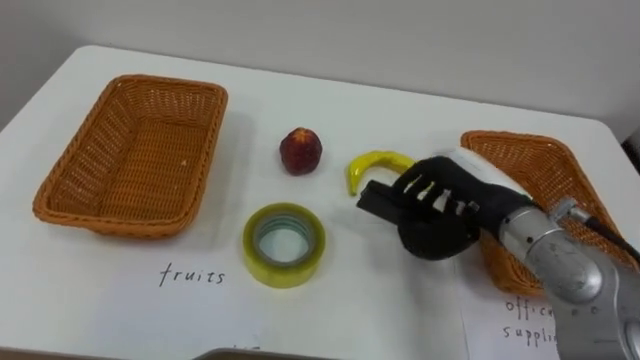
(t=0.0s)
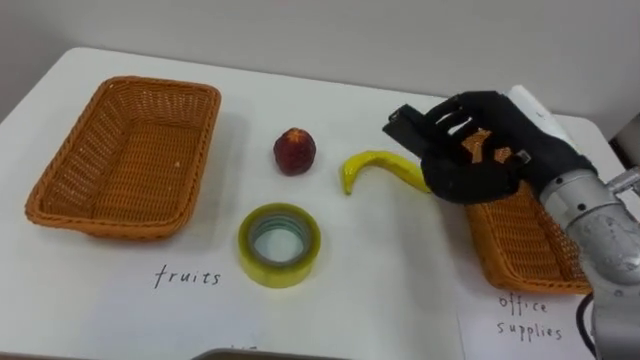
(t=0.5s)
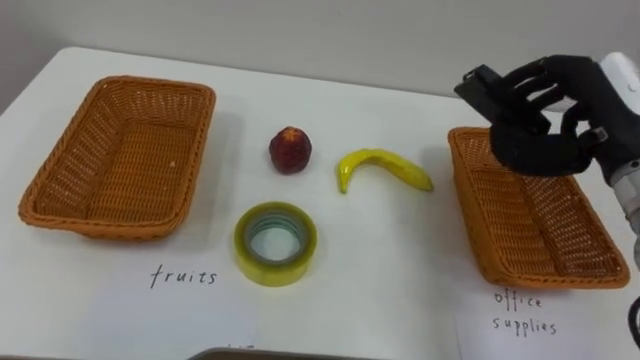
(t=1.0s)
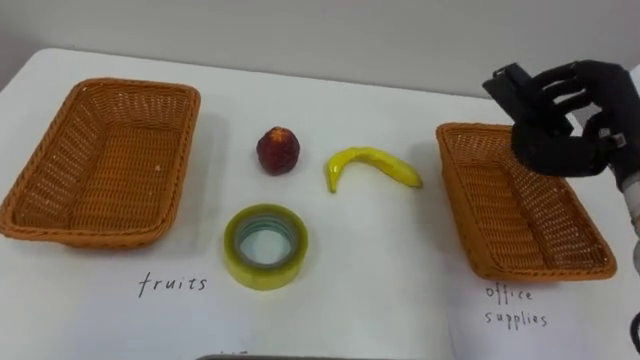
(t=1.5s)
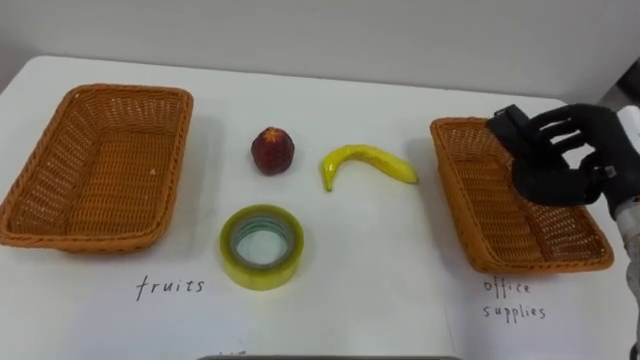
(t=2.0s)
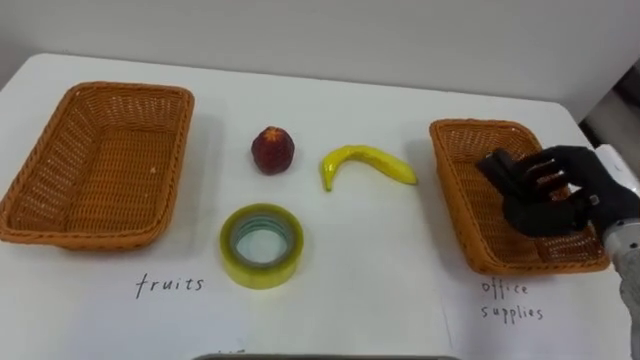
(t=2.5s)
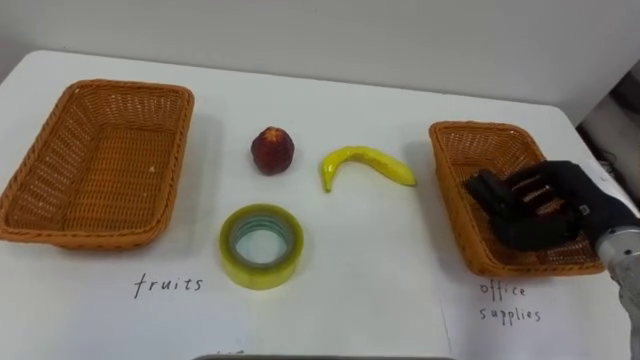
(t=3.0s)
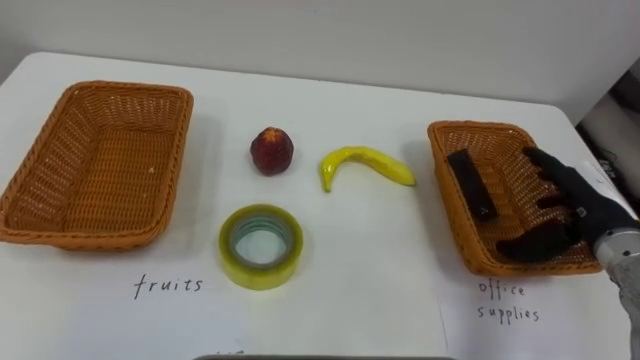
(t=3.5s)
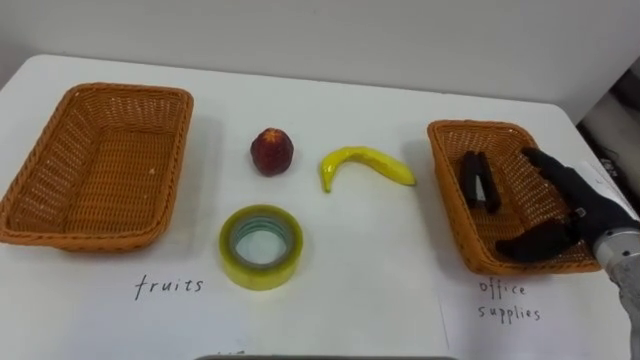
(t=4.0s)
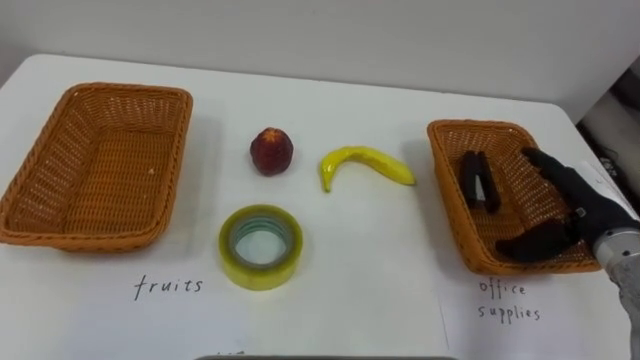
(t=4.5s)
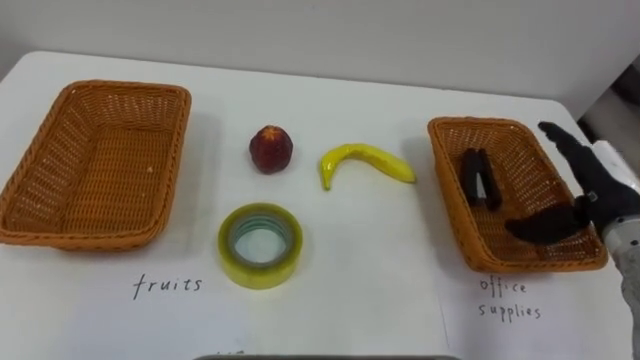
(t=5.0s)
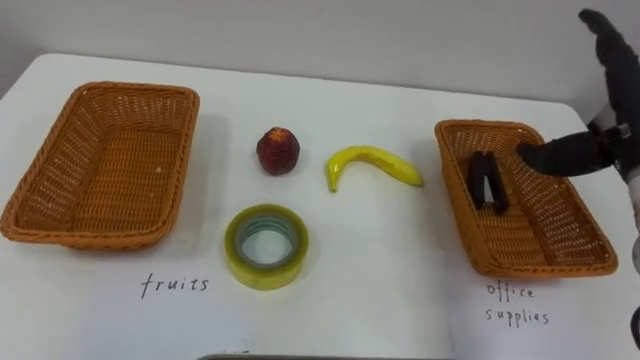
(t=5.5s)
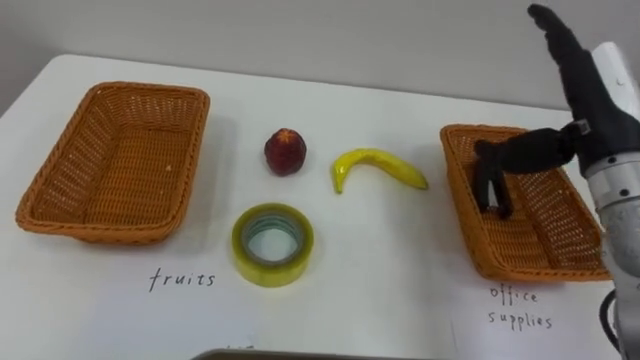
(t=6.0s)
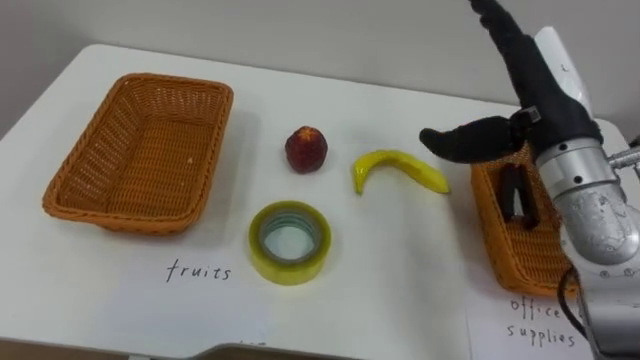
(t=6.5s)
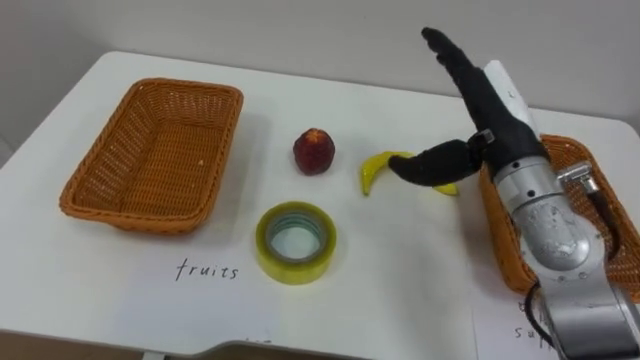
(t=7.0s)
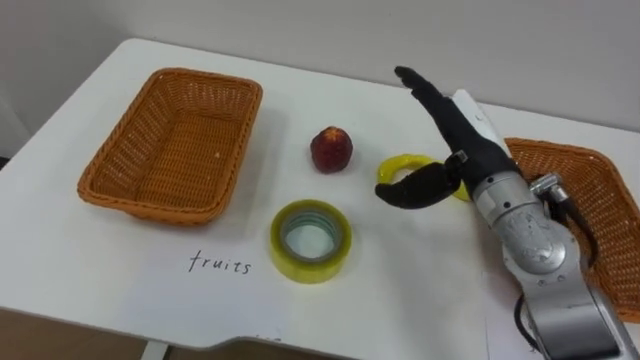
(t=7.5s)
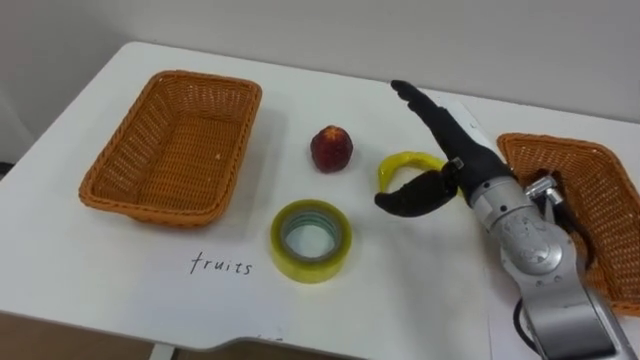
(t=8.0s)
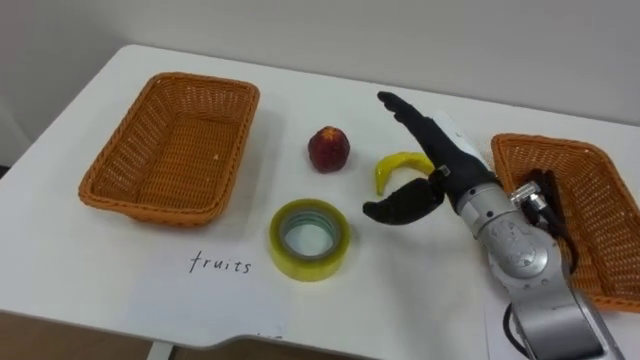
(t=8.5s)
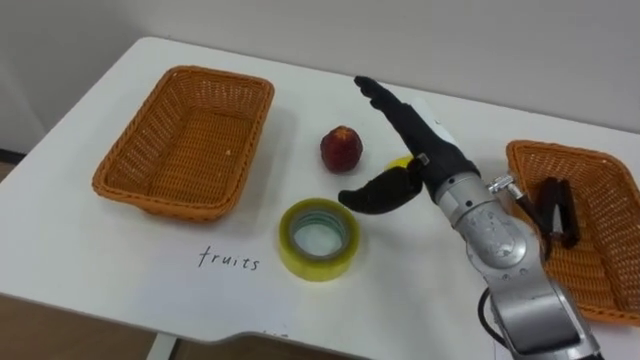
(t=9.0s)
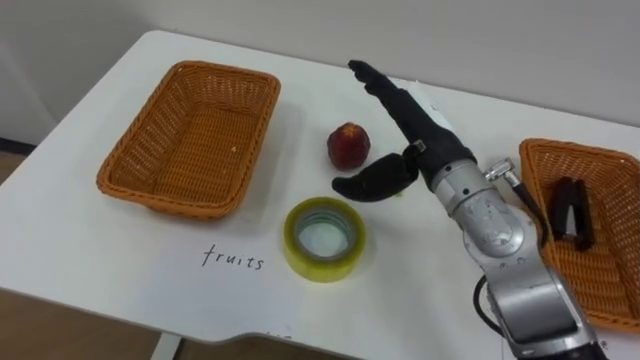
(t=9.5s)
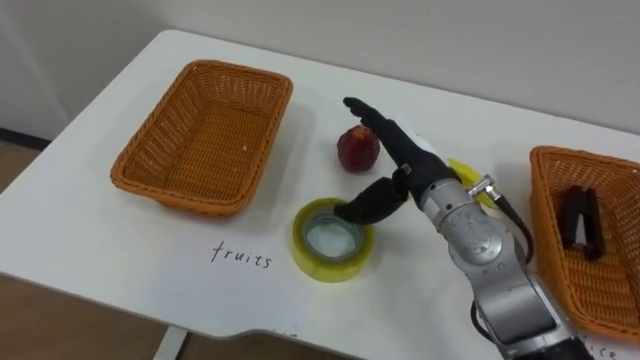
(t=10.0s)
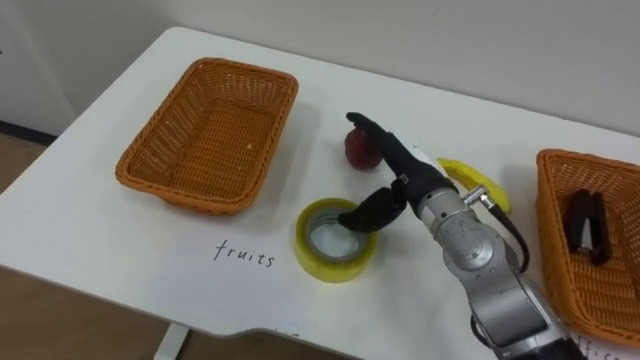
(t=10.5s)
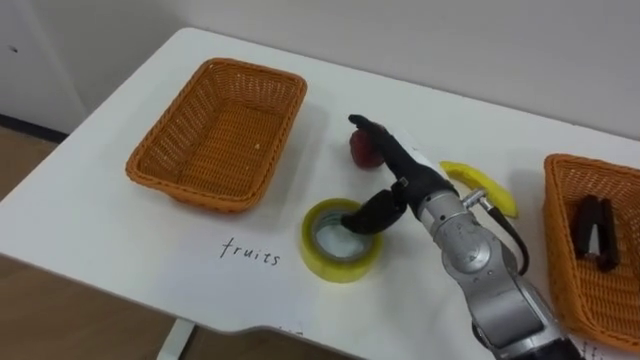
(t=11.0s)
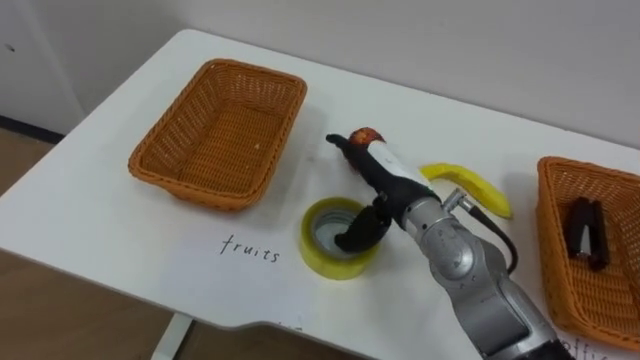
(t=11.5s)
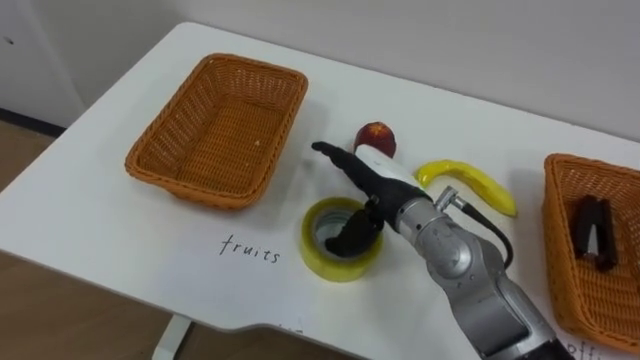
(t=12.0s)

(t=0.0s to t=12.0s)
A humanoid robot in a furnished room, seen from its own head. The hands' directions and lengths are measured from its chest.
Task of the whole recording: Separate the items on the table and place them into the two baskets.
t=0.0s - t=2.0s: The right hand shifts some 15 cm to the right.
t=2.0s - t=4.0s: The right hand moves downward, some 5 cm, and opens its fingers.
t=4.0s - t=6.0s: The right hand moves upward, about 15 cm.
t=6.0s - t=8.0s: The right hand travels to the left and downward by about 10 cm.
t=8.0s - t=10.0s: The right hand goes approximately 5 cm to the left.

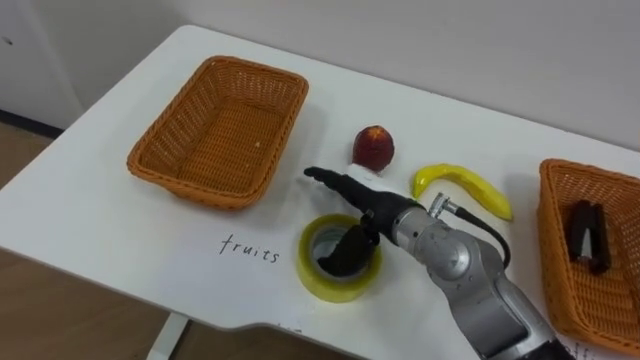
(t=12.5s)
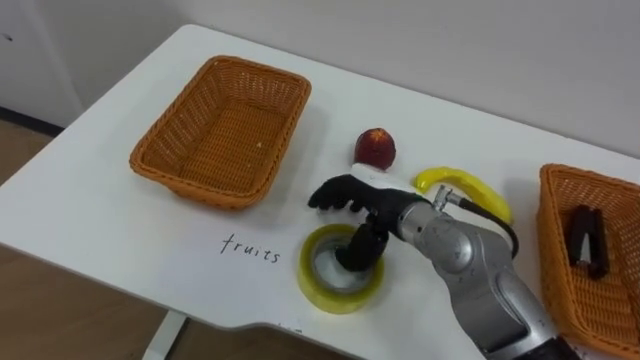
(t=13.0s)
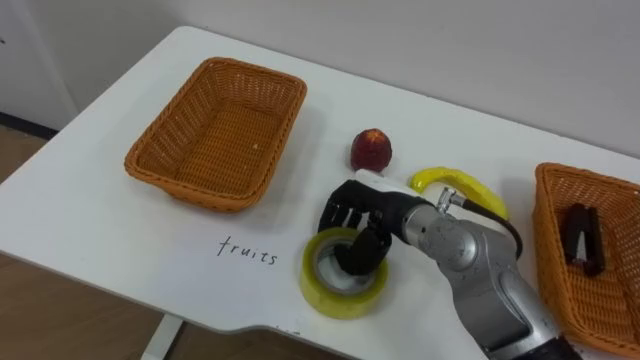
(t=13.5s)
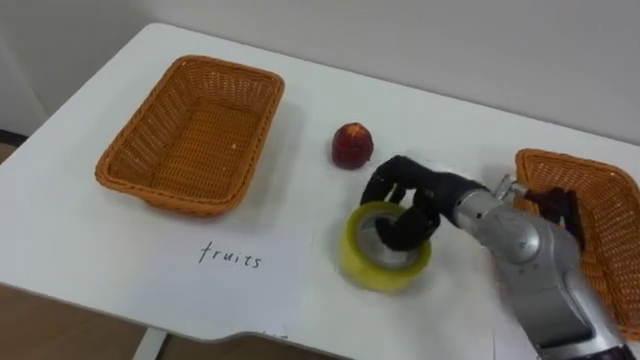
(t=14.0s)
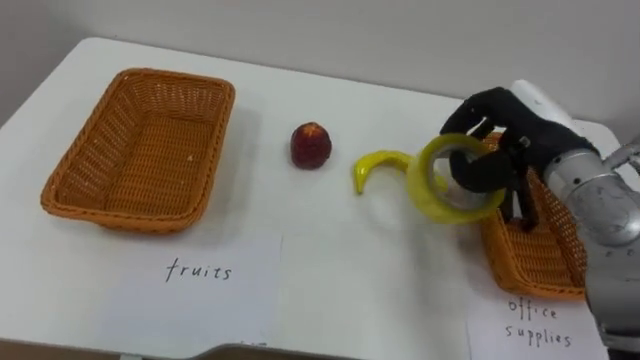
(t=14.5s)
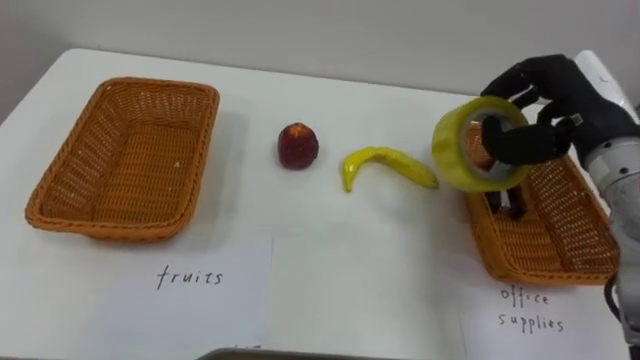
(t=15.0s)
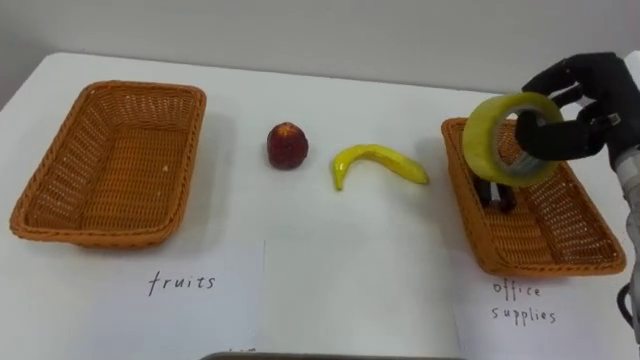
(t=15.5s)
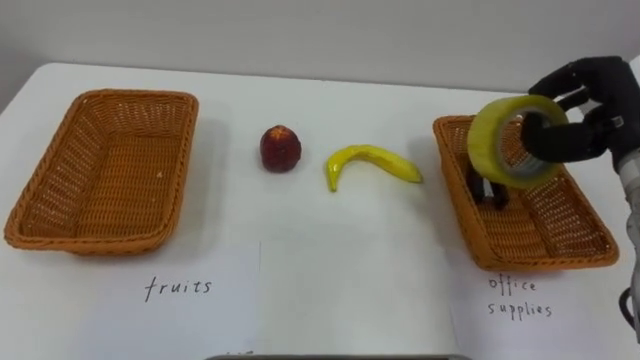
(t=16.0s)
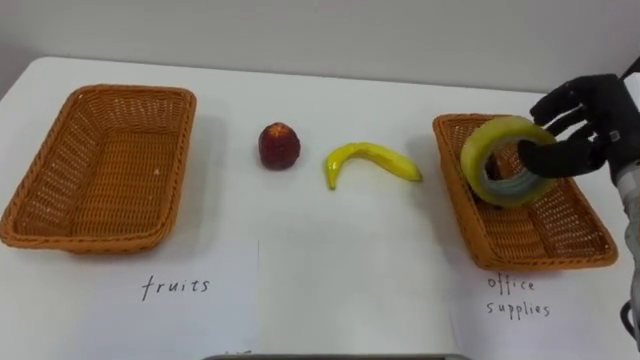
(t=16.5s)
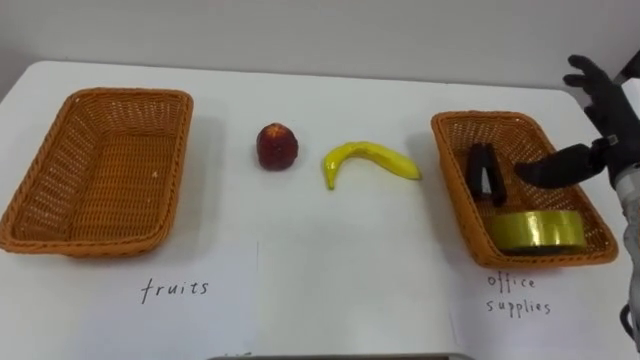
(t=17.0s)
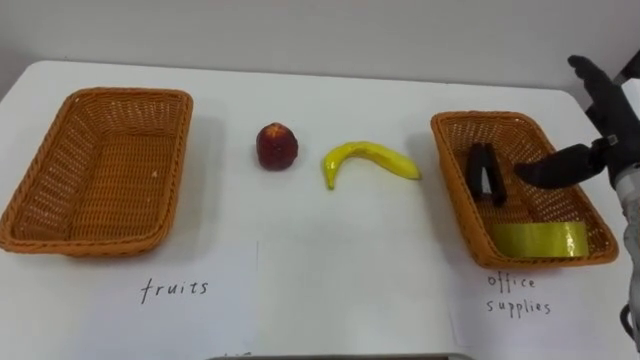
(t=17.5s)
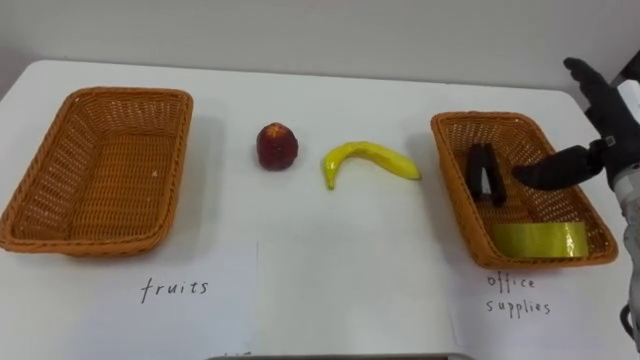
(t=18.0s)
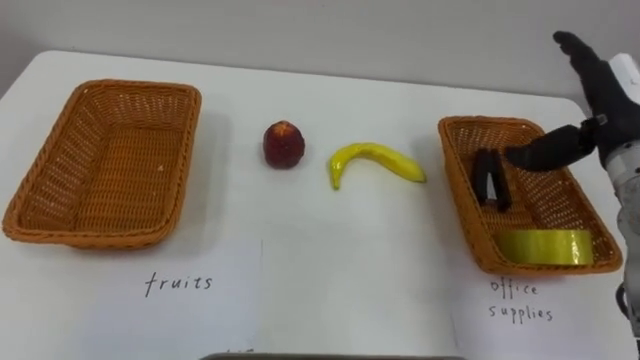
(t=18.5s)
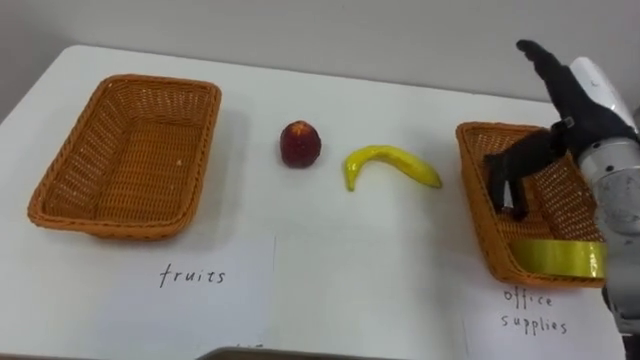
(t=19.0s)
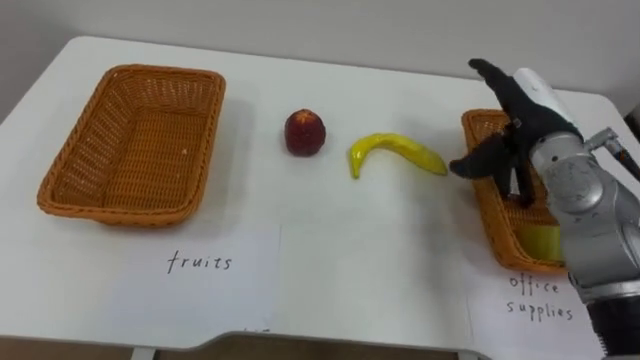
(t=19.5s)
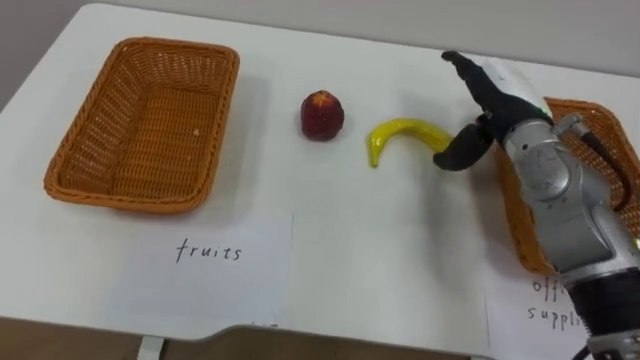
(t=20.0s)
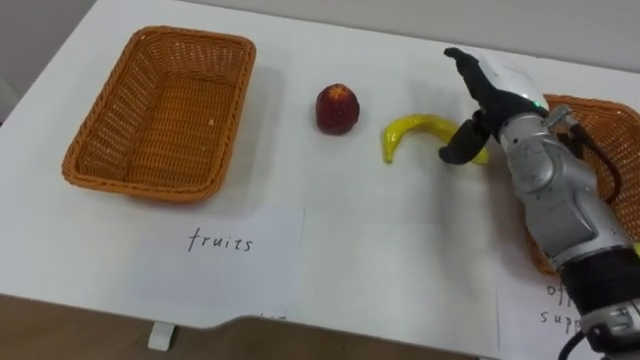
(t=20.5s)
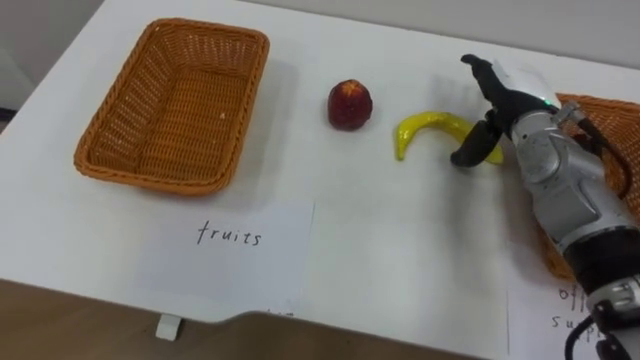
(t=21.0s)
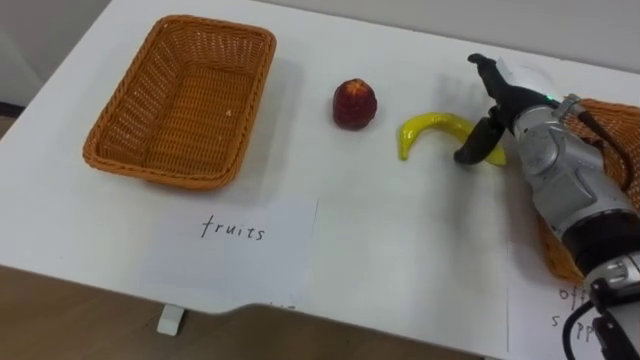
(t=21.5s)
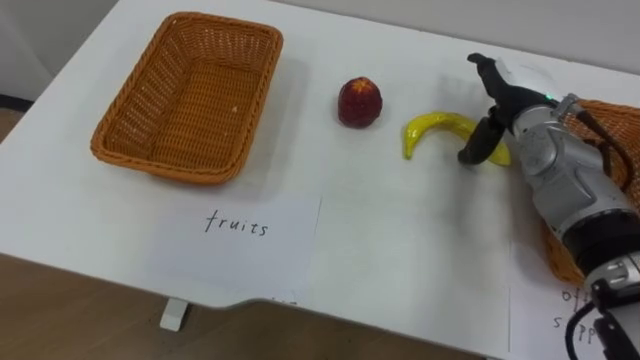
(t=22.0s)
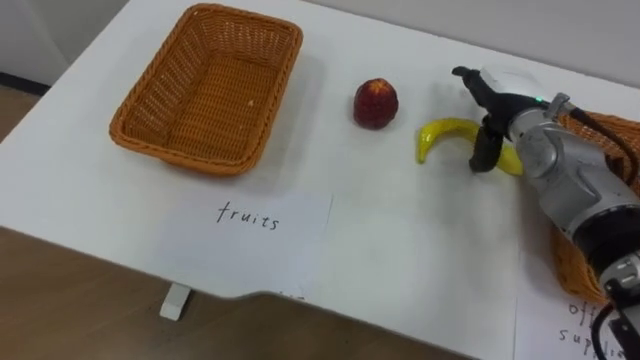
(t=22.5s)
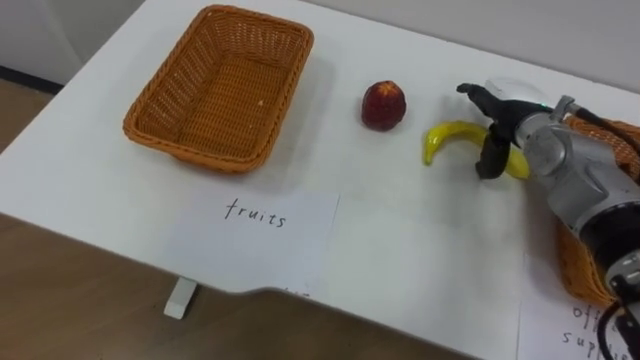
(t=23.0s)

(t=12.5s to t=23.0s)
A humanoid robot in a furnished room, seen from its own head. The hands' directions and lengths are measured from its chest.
Task of the whole recording: Separate the items on the table and place them into the two baskets.
t=12.5s - t=14.5s: The right hand goes approximately 20 cm to the right and upward, and closes up.
t=14.5s - t=16.5s: The right hand goes approximately 10 cm to the right.
t=16.5s - t=19.0s: The right hand opens its fingers.
t=19.0s - t=21.0s: The right hand is displaced forward by roughly 5 cm.
